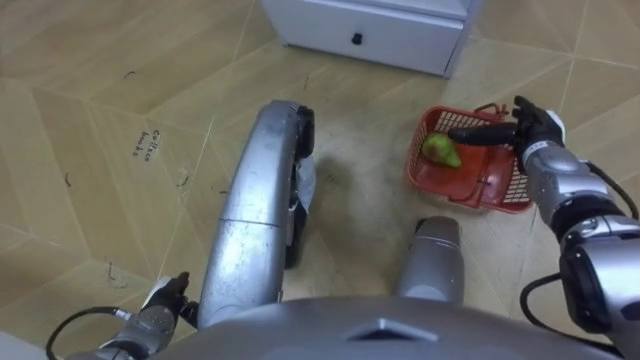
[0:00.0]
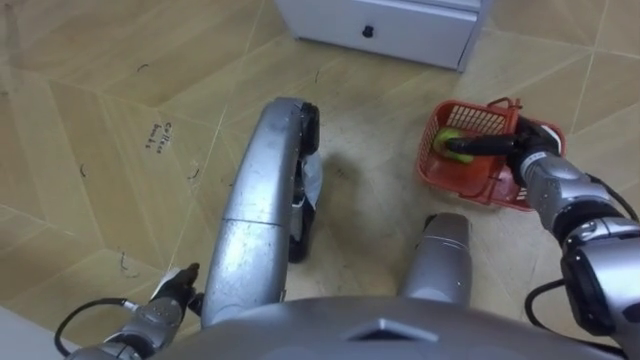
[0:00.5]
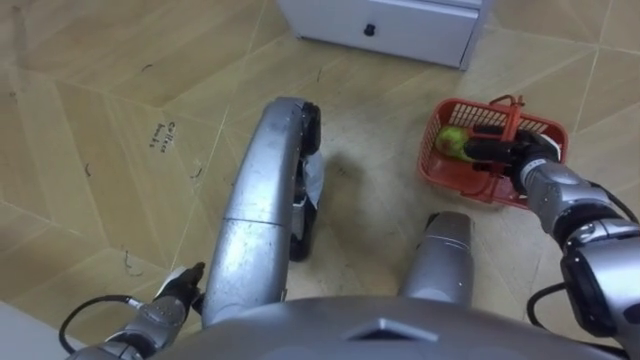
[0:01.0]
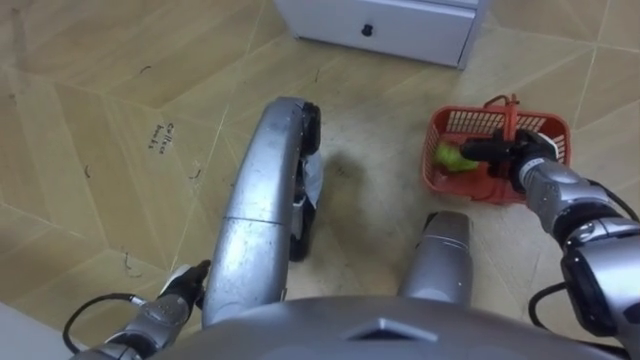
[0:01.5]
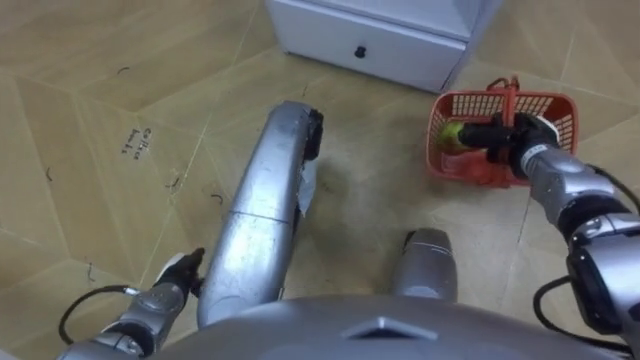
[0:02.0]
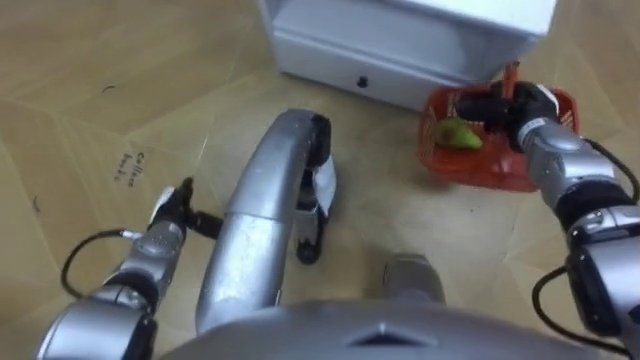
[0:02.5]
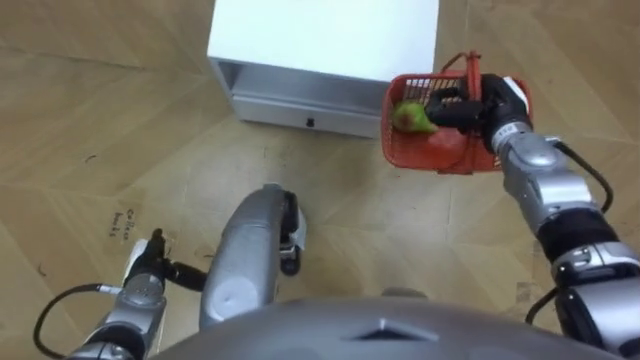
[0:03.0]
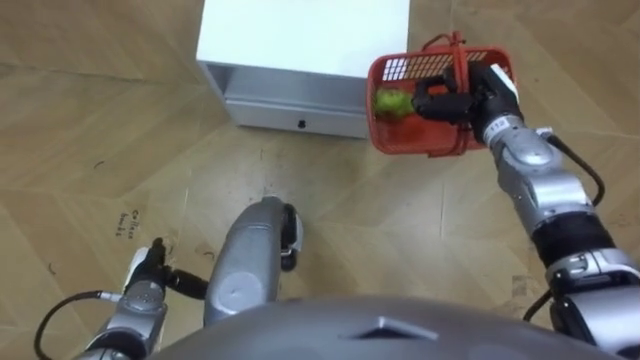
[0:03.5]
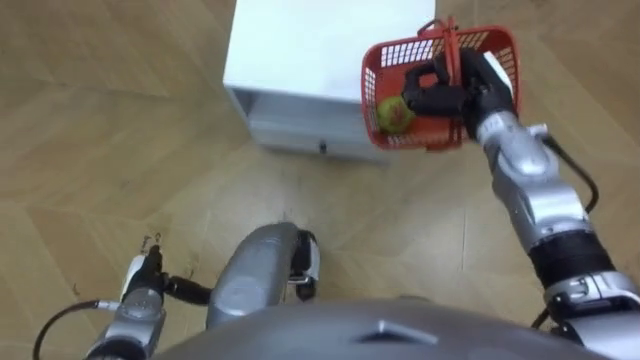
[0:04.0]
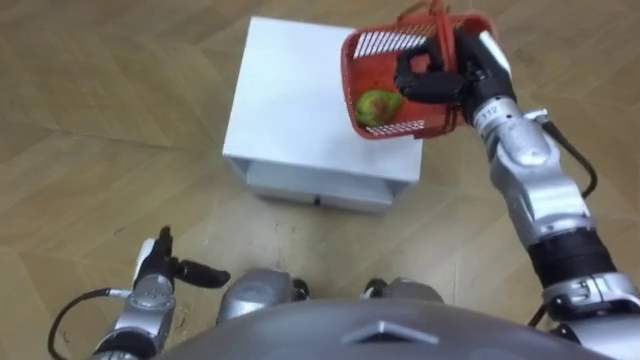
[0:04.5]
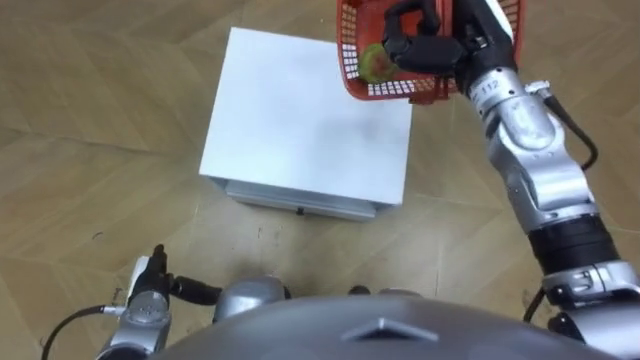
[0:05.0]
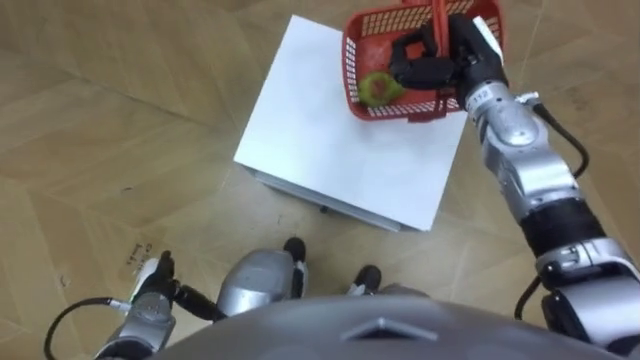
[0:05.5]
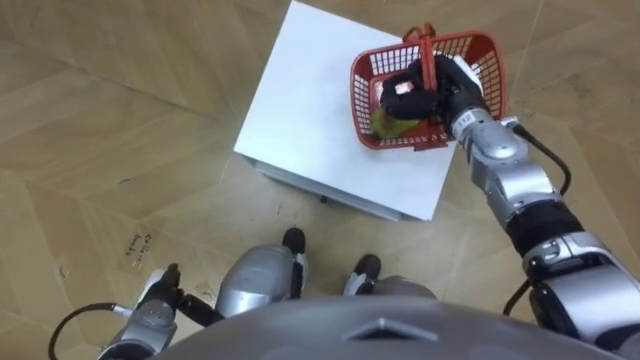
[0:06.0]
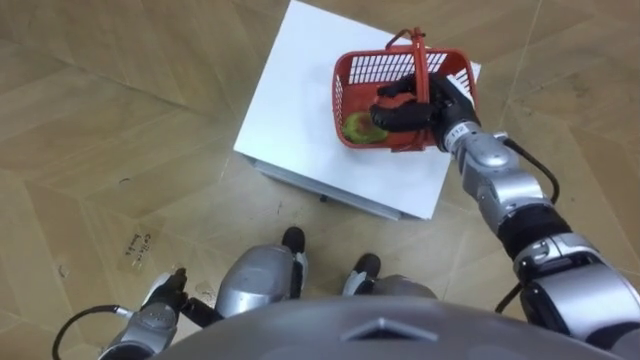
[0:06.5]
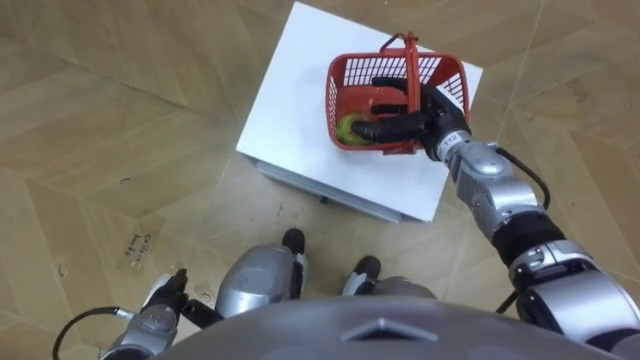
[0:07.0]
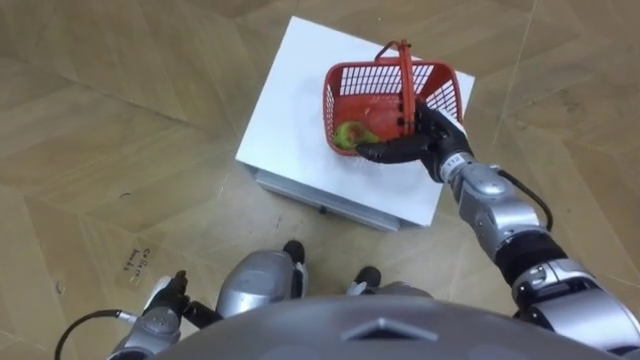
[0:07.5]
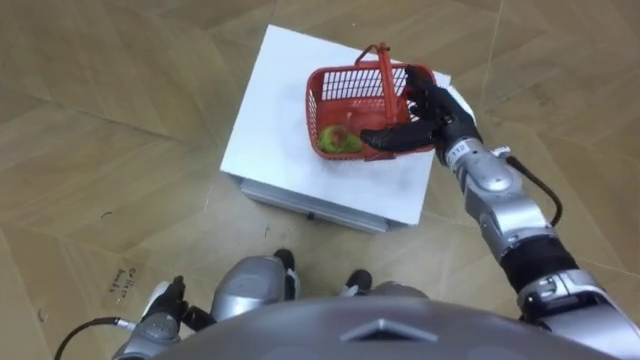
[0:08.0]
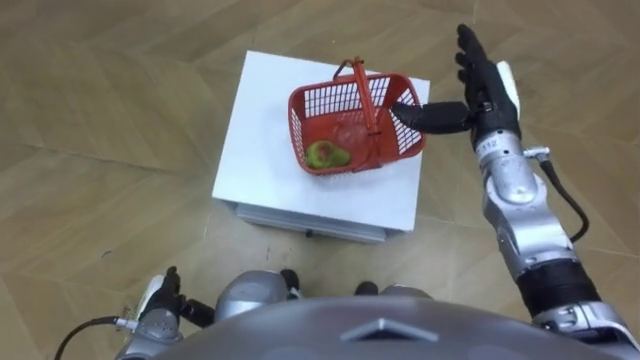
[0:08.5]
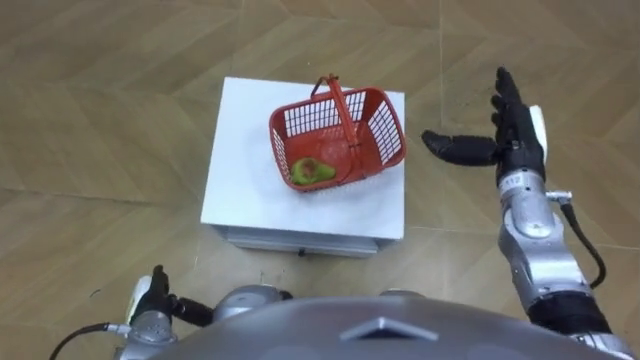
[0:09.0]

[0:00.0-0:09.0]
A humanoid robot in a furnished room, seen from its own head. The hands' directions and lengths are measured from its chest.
Task of the whole recording: Pick up the fruit basket from the floor and place it on the cabinet.
0:00.0 to 0:02.0: The right hand closes its fingers.
0:02.0 to 0:04.5: The left hand reaches roughly 10 cm forward, then returns. Meanwhile the right hand heads upward and to the left, covering roughly 15 cm.
0:04.5 to 0:07.0: The right hand heads downward, covering about 10 cm, and opens its fingers, while the left hand heads backward, covering about 5 cm.
0:07.0 to 0:09.0: The right hand heads to the right and backward, covering roughly 10 cm.

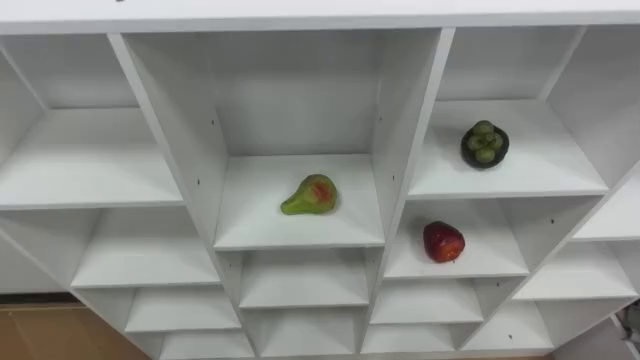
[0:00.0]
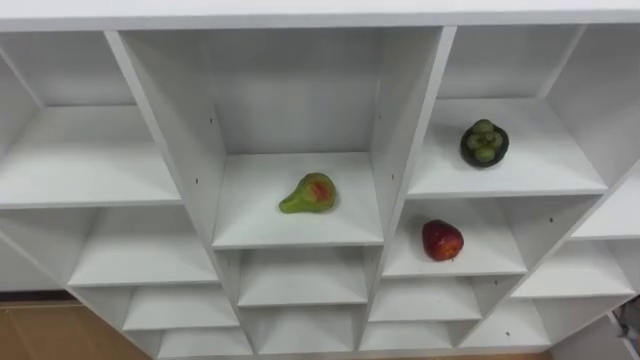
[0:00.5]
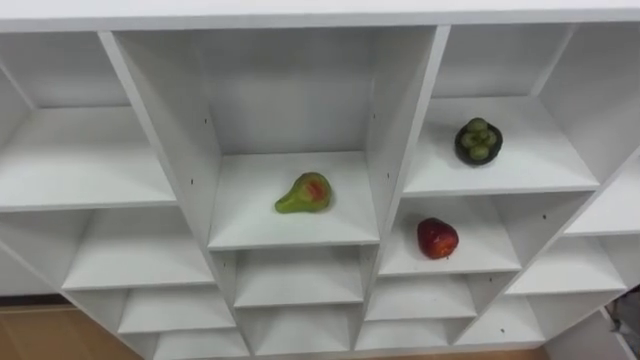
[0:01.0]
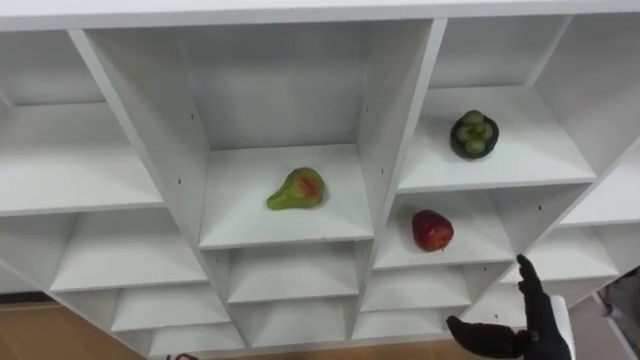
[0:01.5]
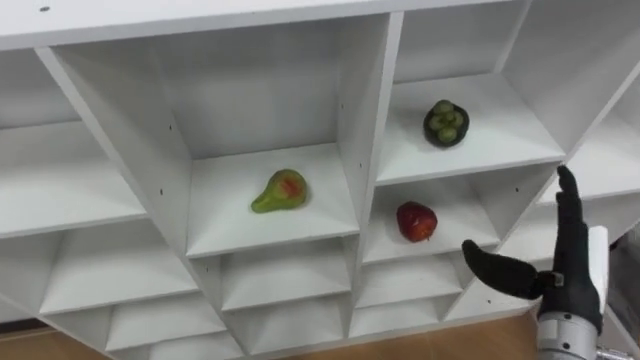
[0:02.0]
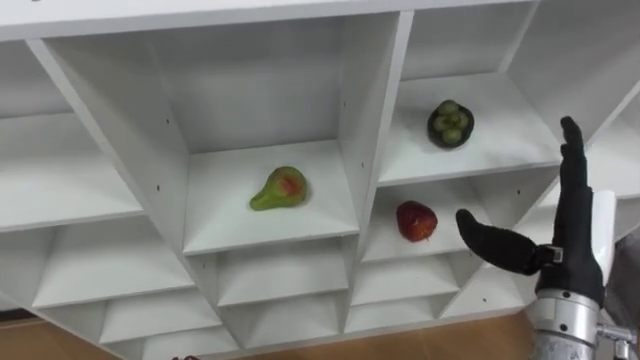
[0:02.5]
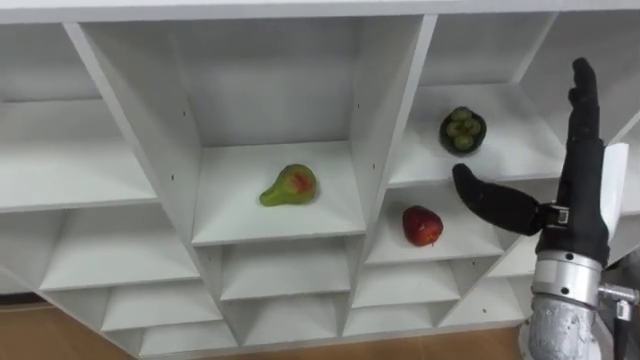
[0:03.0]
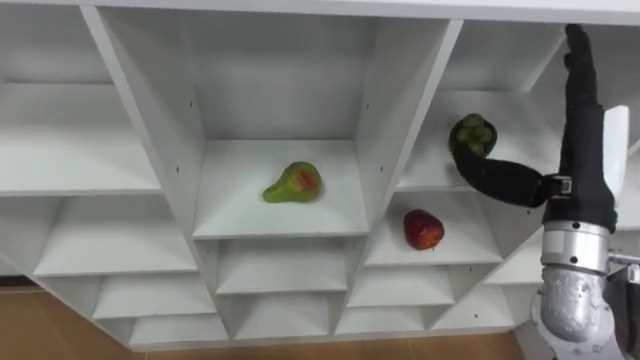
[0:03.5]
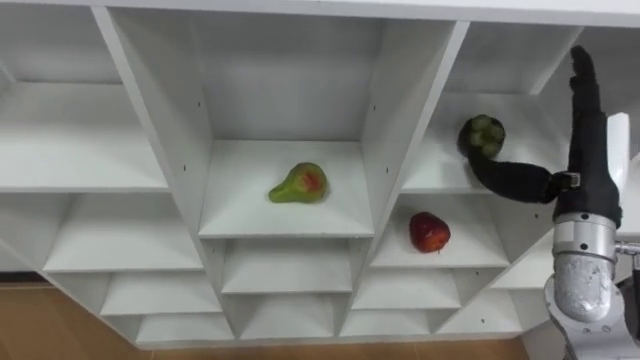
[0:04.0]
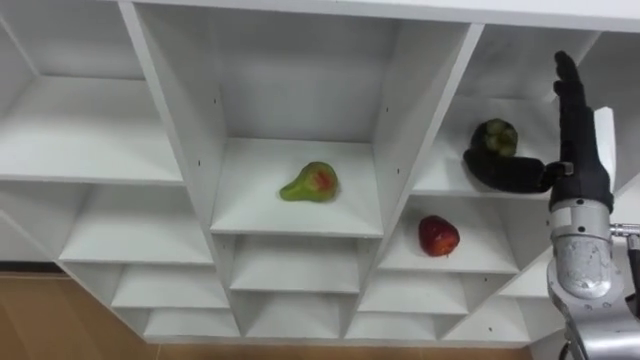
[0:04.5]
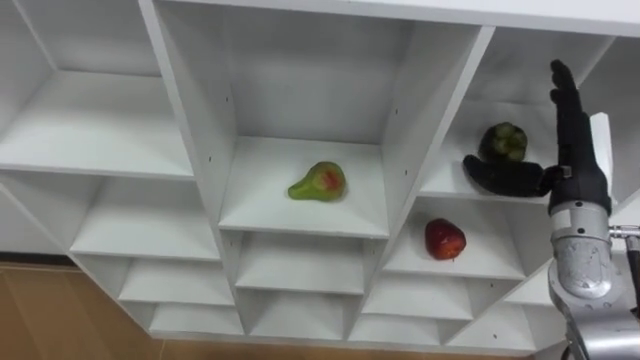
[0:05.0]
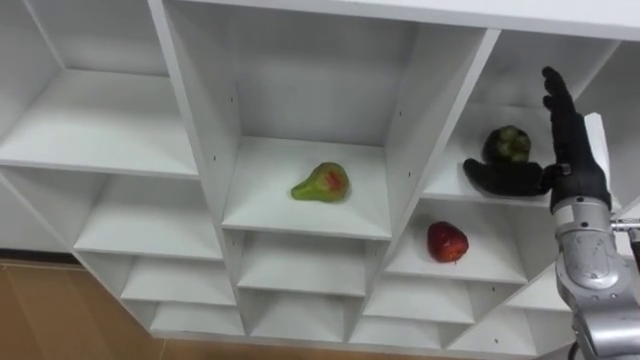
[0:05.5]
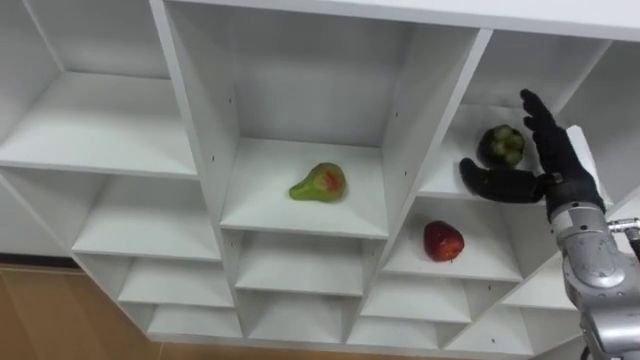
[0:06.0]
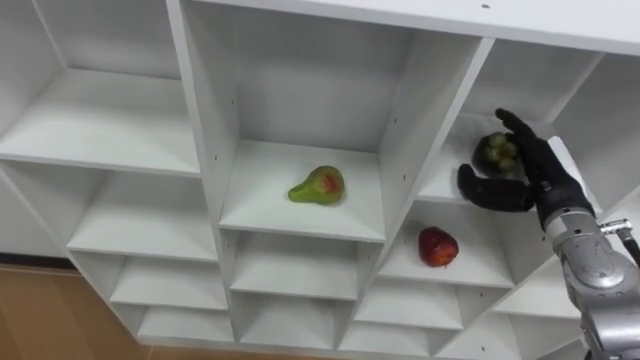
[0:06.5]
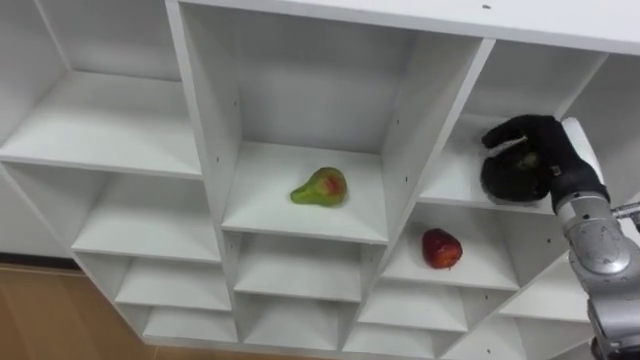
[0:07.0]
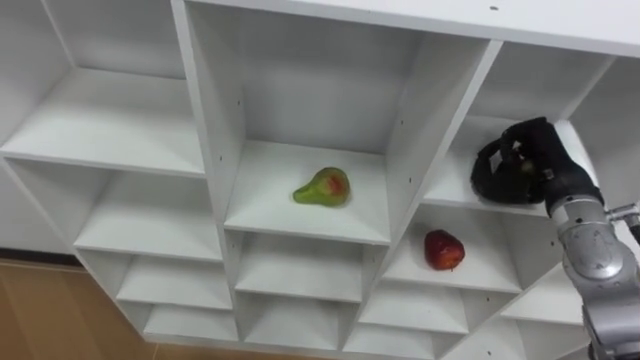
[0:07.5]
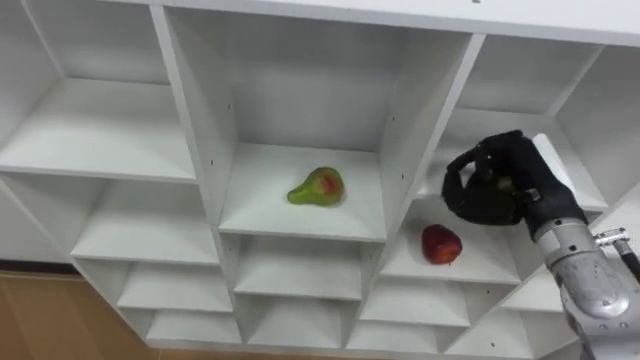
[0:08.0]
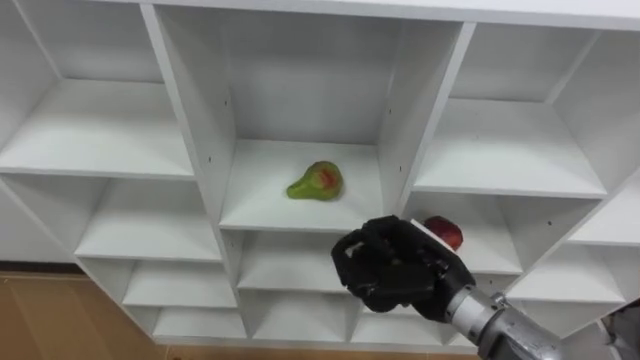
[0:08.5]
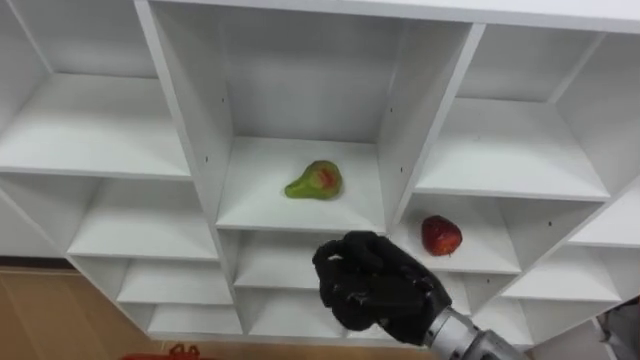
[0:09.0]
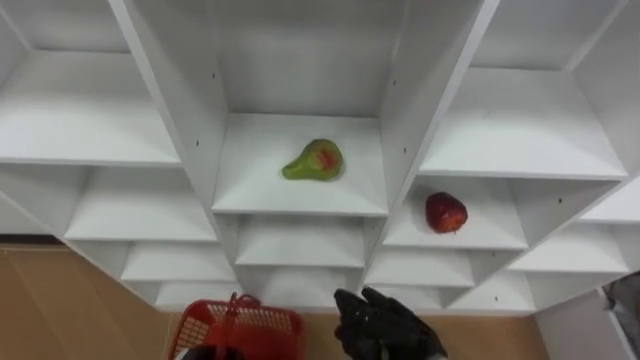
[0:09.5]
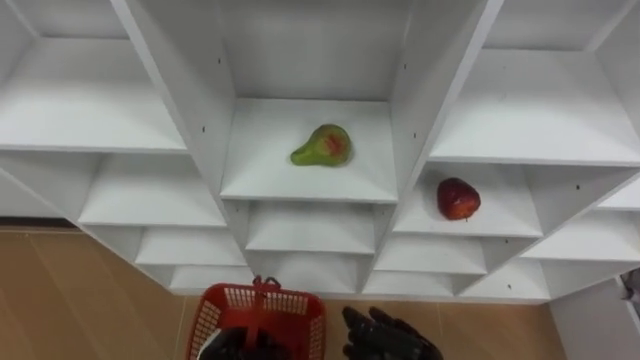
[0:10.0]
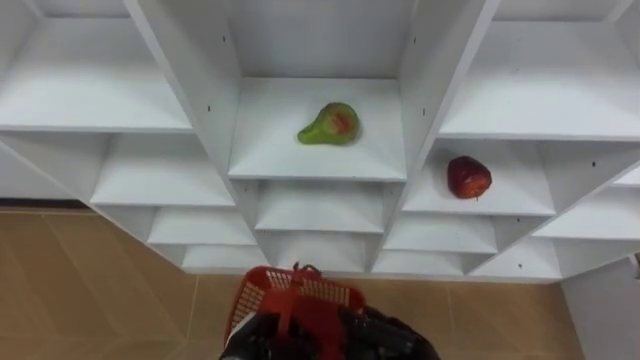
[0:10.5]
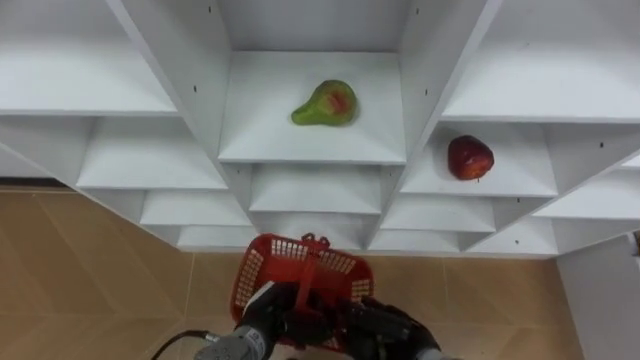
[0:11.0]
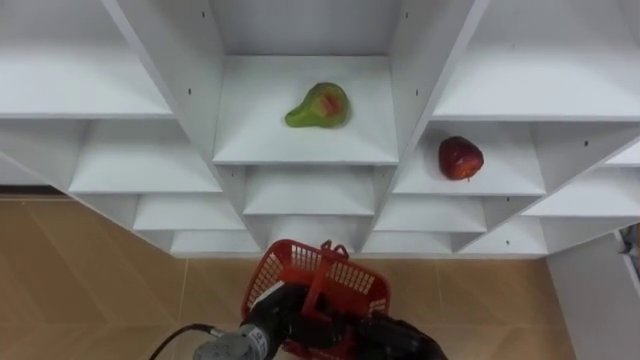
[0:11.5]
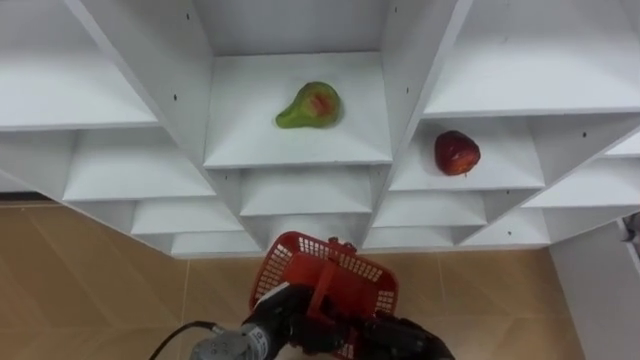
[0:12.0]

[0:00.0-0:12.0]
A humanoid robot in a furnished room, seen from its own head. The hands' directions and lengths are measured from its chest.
Task of the whole recording: Hold the basket and collect the fruits from 3 different cells of the closet into it.
0:02.0 to 0:04.0: The right hand is displaced upward and forward by roughly 10 cm.
0:04.0 to 0:06.0: The right hand heads downward, covering about 5 cm.
0:06.0 to 0:08.0: The right hand ends up some 5 cm from where it was, and closes.
0:08.0 to 0:10.0: The right hand goes approximately 30 cm downward, to the left and backward.
0:10.0 to 0:12.0: The left hand heads to the right, upward and forward, covering roughly 10 cm.
